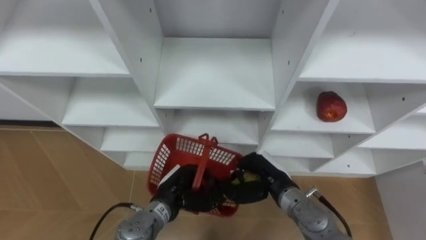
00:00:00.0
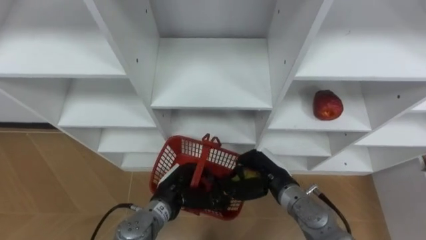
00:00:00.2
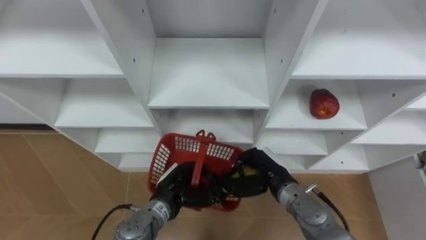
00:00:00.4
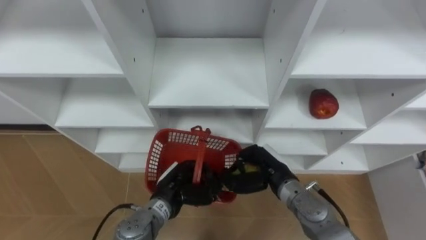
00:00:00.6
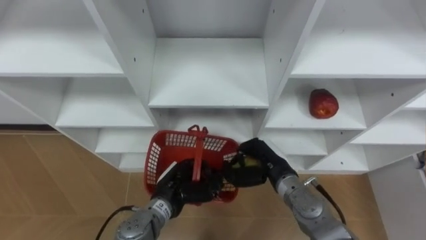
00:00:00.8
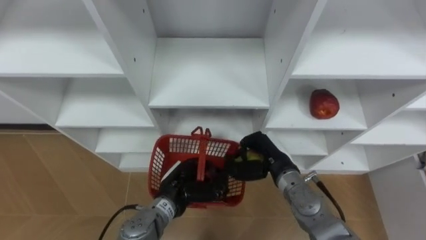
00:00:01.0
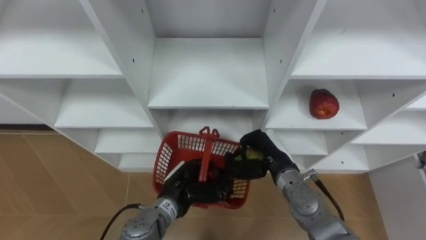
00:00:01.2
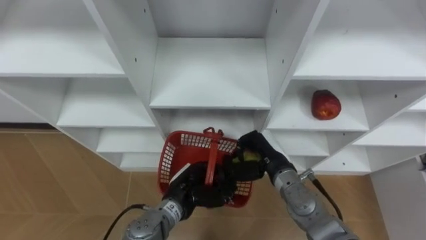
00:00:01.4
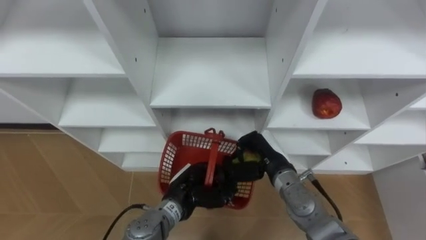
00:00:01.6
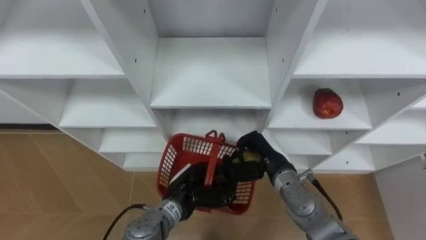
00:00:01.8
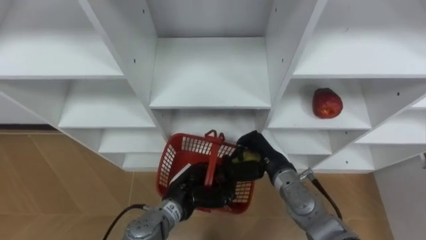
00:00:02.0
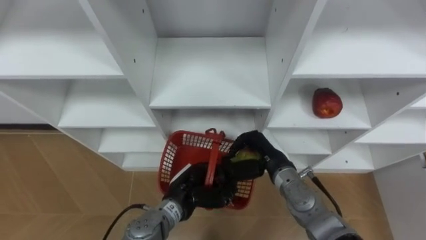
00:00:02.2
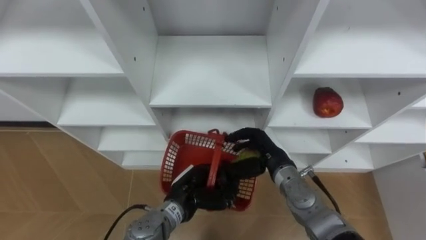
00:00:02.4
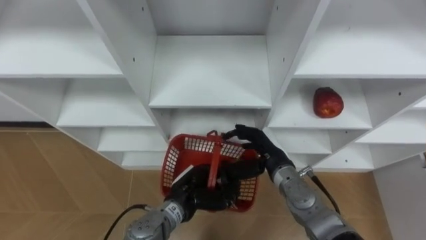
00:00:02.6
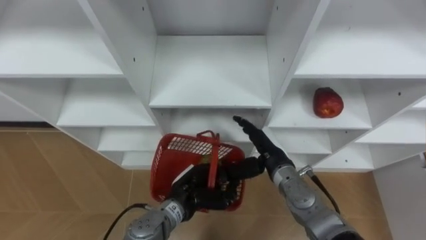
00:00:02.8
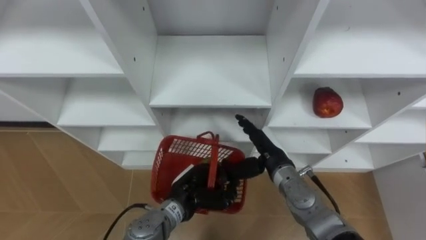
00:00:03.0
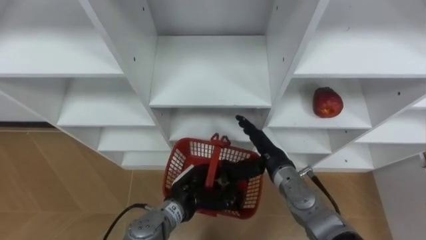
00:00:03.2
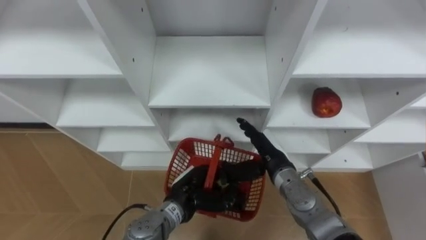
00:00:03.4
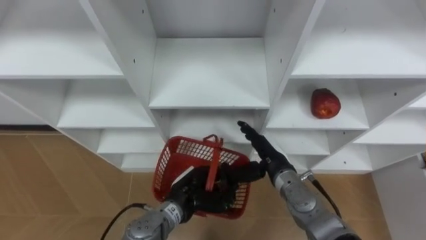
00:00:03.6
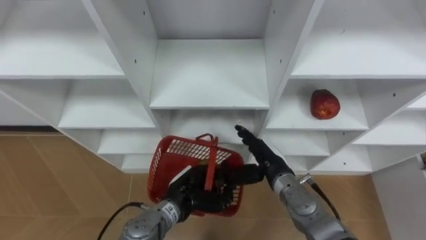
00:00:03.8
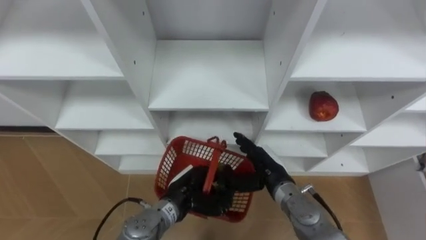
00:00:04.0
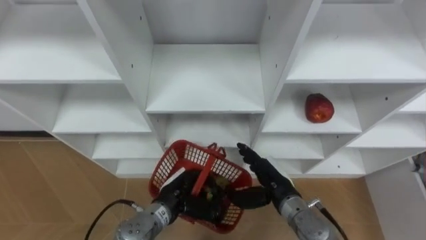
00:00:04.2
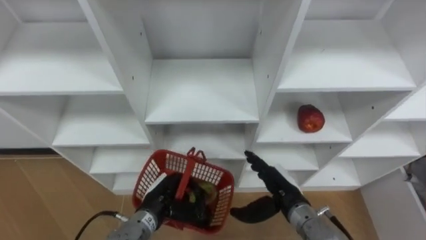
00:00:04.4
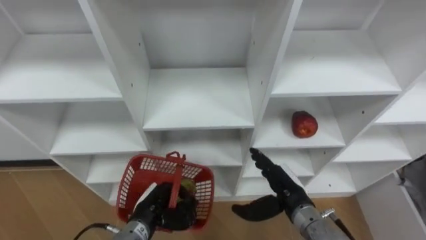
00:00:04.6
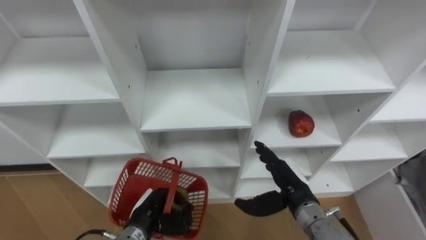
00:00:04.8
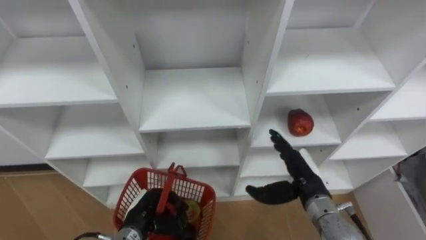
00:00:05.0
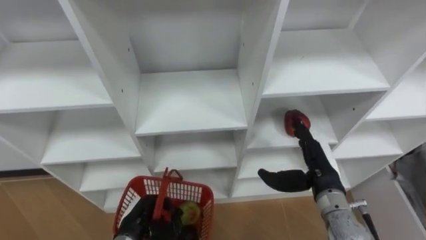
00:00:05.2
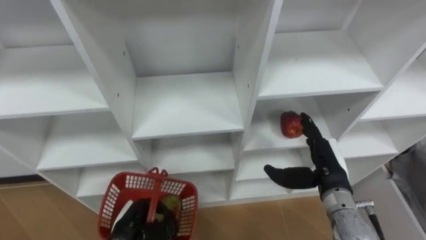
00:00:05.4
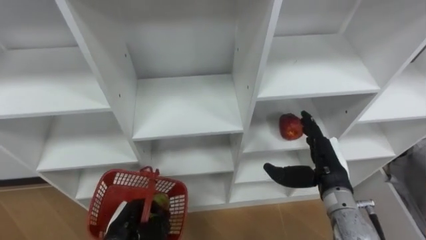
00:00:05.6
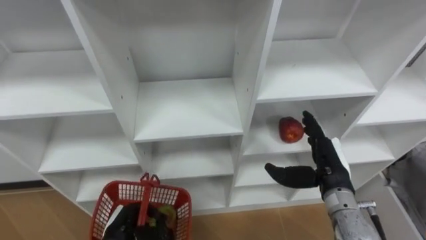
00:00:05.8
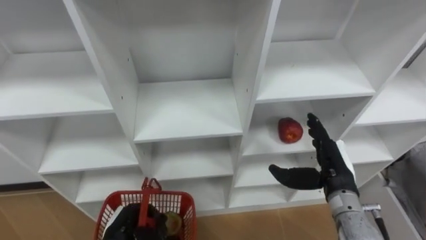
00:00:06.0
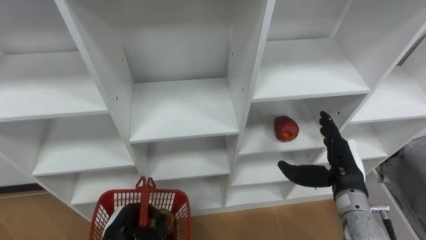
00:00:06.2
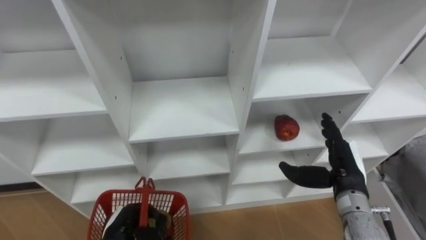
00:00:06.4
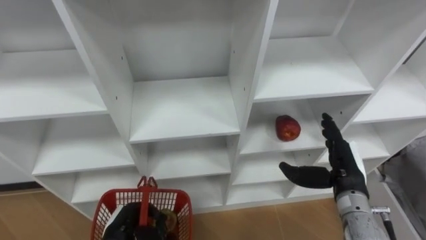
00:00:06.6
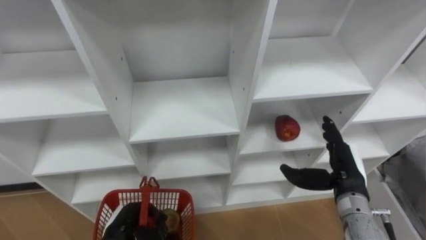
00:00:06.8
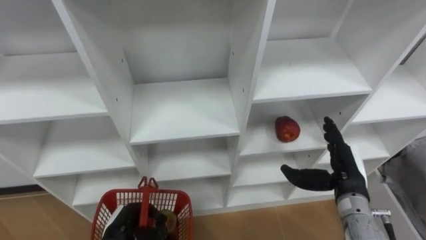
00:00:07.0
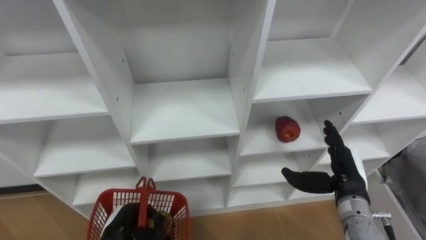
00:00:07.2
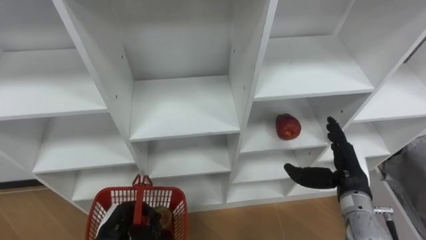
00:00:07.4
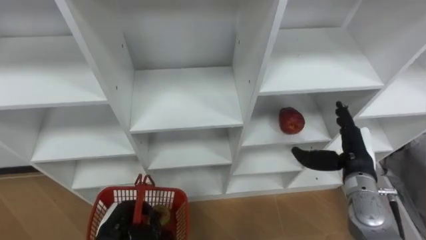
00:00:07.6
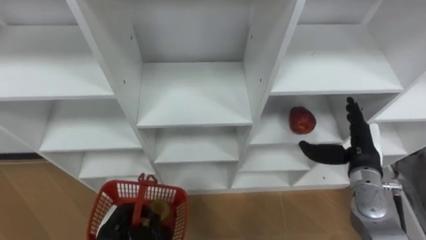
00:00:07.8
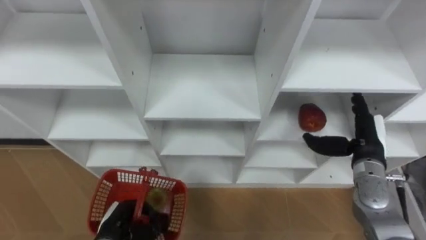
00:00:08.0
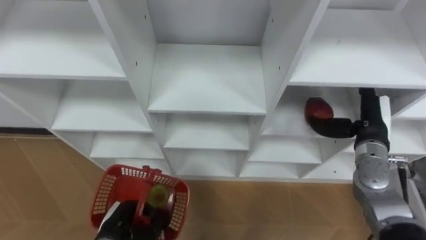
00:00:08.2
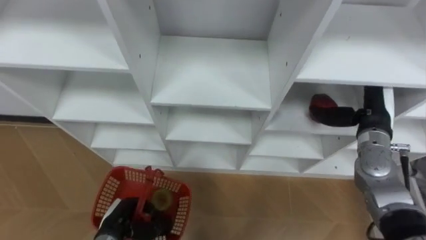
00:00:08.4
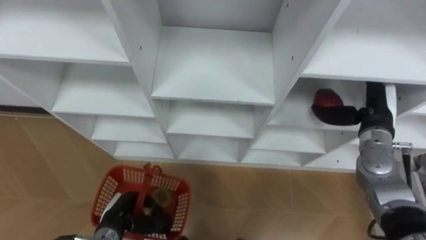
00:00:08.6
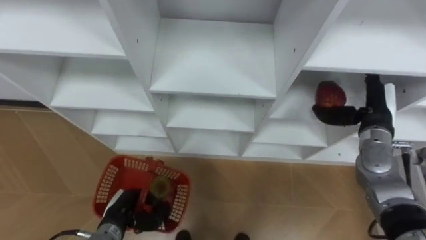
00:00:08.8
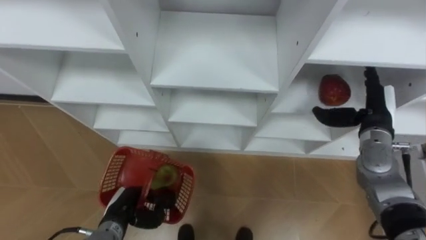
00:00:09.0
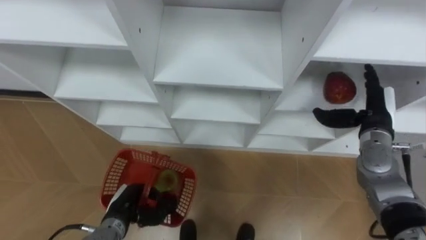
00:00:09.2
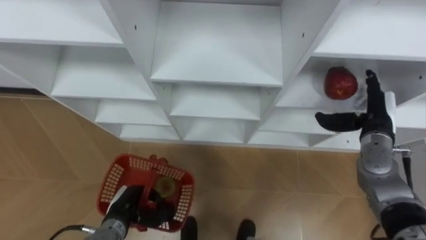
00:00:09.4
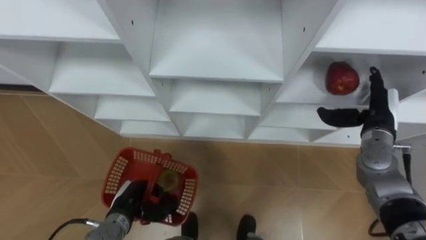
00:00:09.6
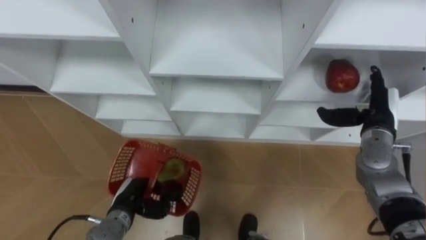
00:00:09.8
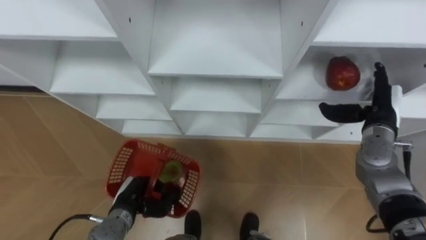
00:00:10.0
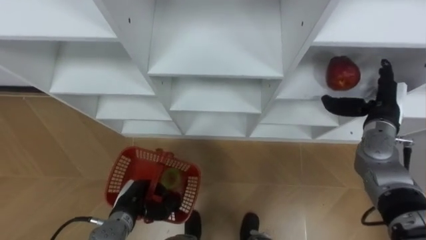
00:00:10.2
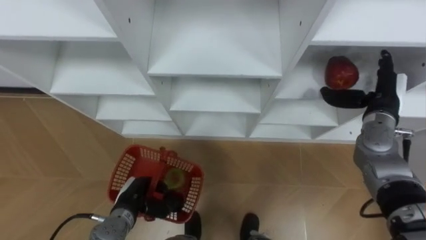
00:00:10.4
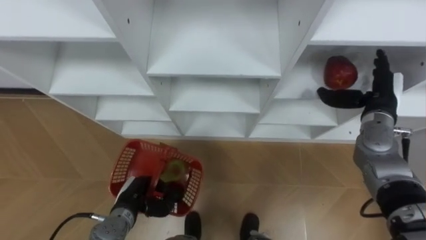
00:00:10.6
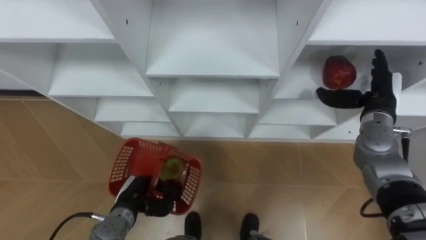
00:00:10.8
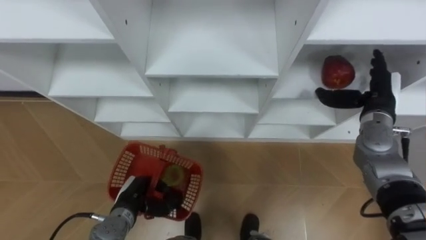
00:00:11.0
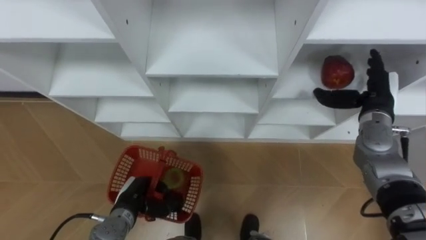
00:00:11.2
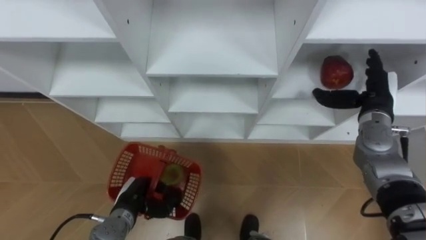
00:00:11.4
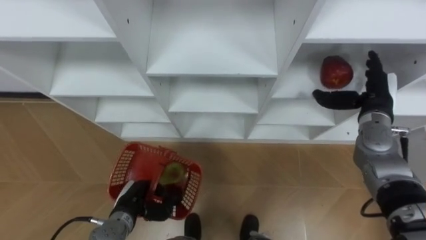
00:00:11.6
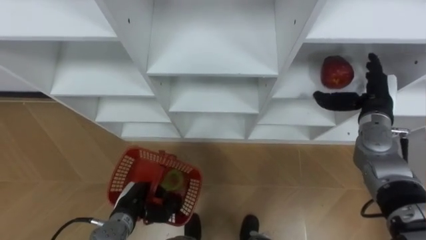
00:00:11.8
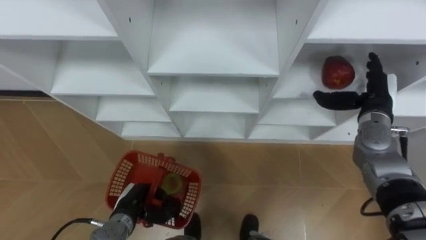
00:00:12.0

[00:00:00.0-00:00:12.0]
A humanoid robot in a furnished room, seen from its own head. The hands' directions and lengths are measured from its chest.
Task of the whole recording: Hold the basket and collect the fruits from 3 different cells of the closet into it.
00:00:00.0 to 00:00:01.6: The hands stay close to where they were, moving slightly.
00:00:01.6 to 00:00:03.0: The right hand opens.
00:00:03.0 to 00:00:04.4: The left hand goes roughly 5 cm to the left, while the right hand travels backward by about 5 cm.
00:00:04.4 to 00:00:06.0: The left hand heads to the left and backward, covering approximately 10 cm, while the right hand heads to the right and upward, covering about 10 cm.
00:00:07.6 to 00:00:09.0: The right hand shifts roughly 5 cm forward.
00:00:10.4 to 00:00:12.0: The hands make only small movements.

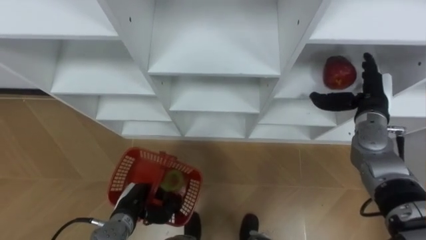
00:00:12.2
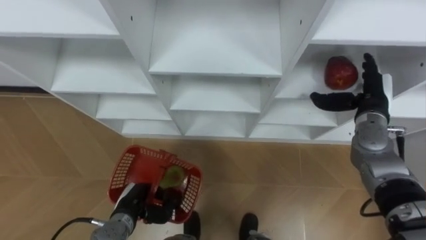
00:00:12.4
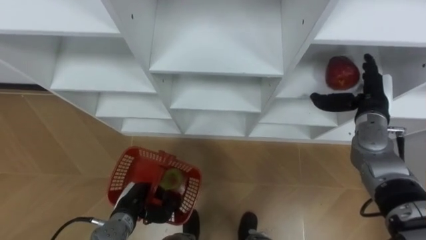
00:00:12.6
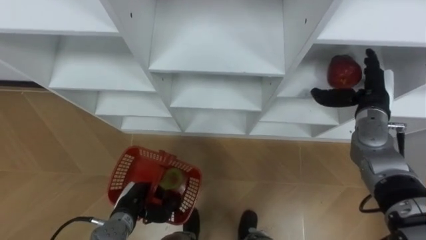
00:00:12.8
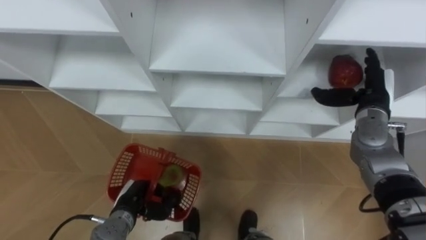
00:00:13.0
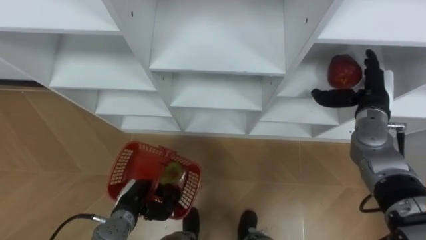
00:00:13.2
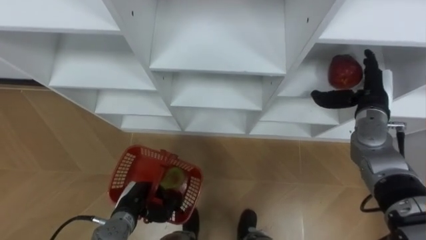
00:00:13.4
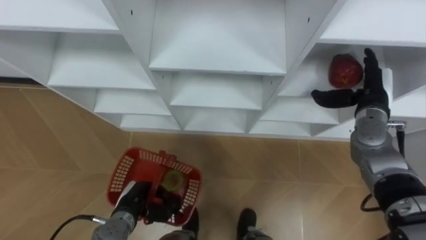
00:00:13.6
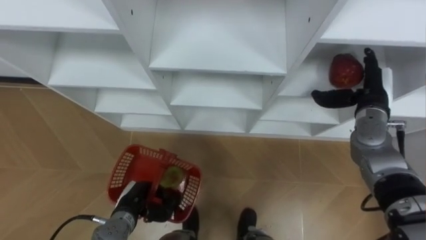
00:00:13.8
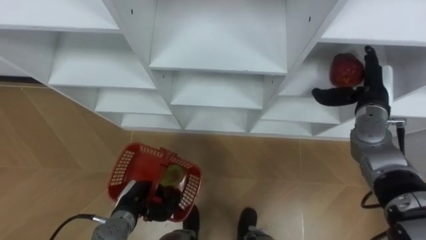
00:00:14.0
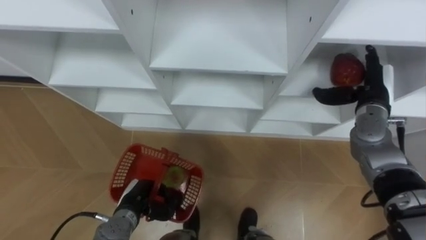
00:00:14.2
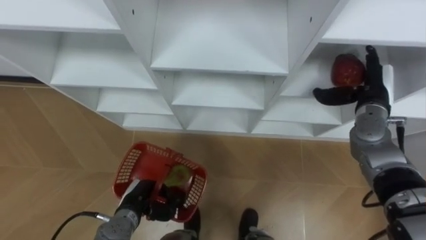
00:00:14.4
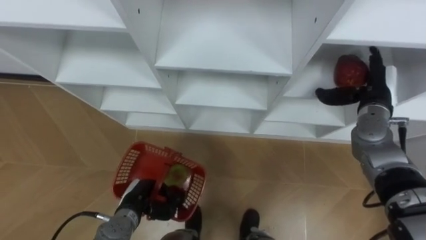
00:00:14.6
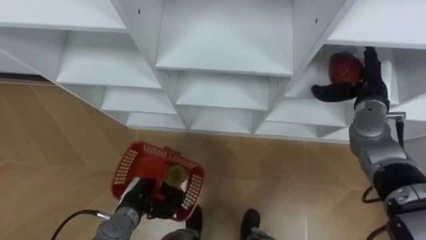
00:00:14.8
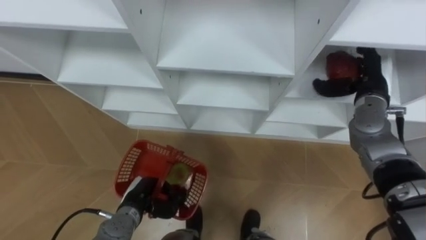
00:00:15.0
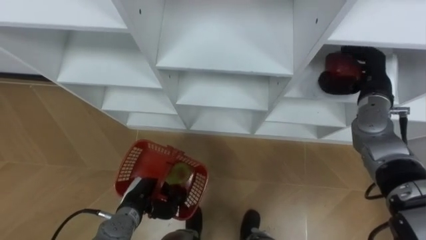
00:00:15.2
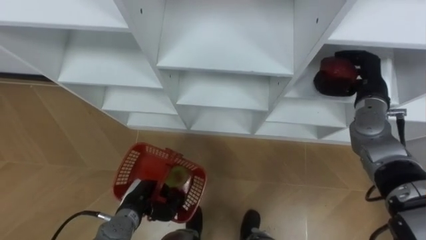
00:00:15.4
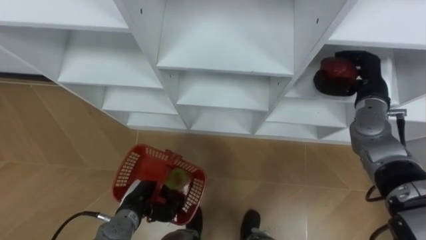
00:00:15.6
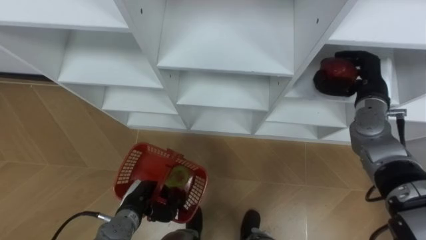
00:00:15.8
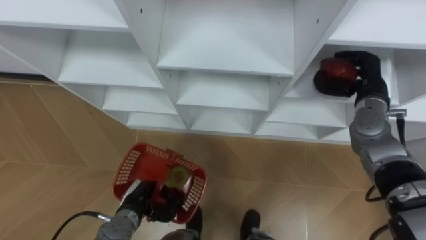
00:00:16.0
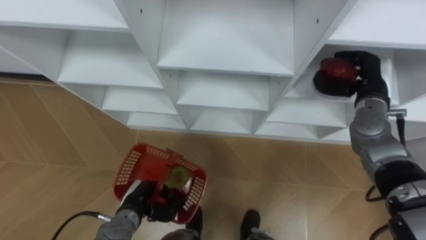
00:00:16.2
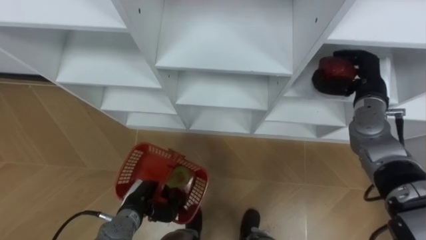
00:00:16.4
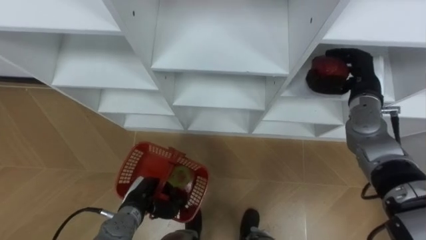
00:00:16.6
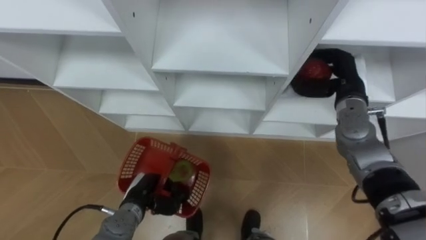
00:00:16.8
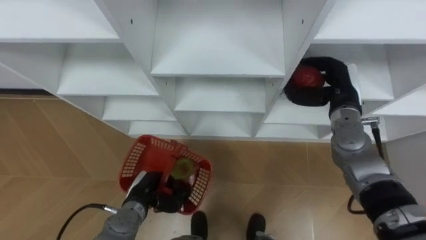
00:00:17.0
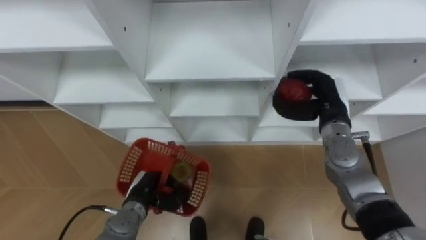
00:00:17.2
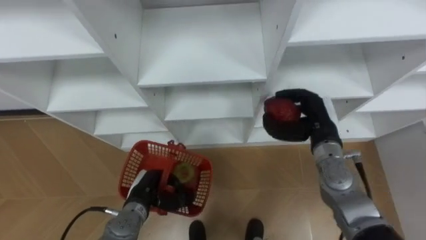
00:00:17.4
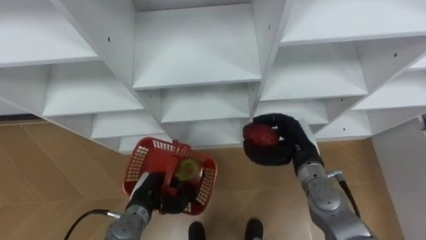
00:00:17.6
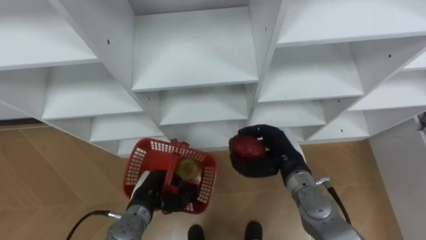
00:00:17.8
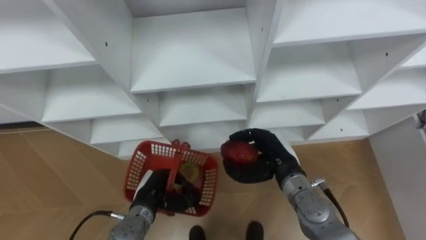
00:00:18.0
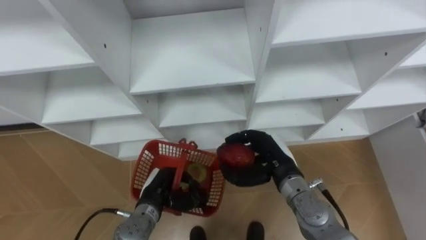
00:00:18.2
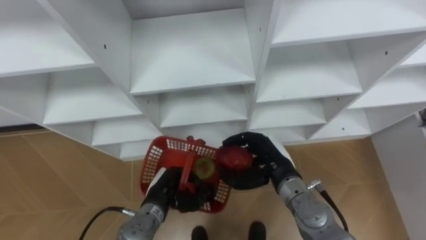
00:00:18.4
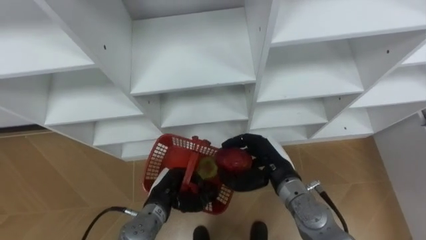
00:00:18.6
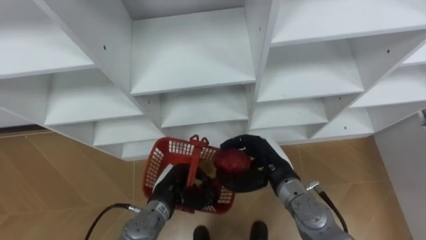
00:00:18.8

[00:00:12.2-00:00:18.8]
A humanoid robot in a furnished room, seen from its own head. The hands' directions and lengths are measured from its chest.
Task of the whole recording: Hold the basket and collect the fruits from 3 different cells of the closet into it.
00:00:12.2 to 00:00:13.8: Neither hand changes place.
00:00:13.8 to 00:00:15.4: The right hand closes.
00:00:15.4 to 00:00:17.2: The right hand goes about 5 cm to the left.
00:00:17.2 to 00:00:18.8: The right hand goes roughly 15 cm to the left, backward and downward, while the left hand goes approximately 5 cm to the right.
